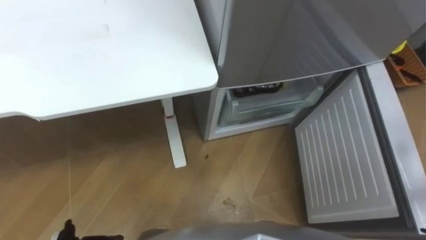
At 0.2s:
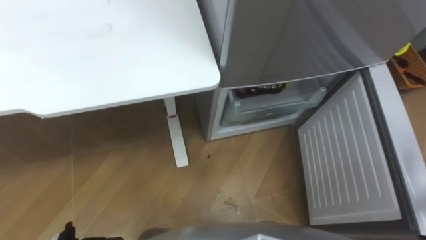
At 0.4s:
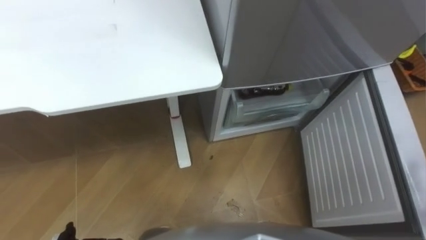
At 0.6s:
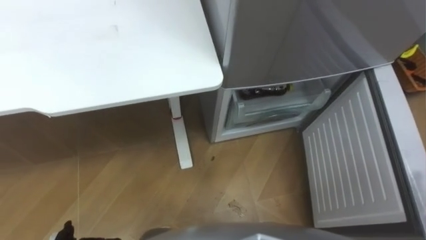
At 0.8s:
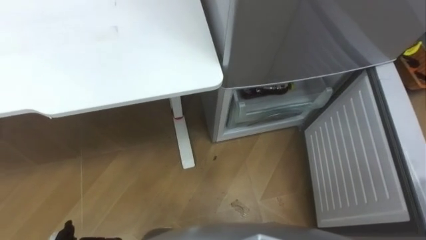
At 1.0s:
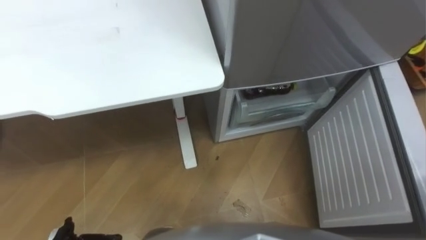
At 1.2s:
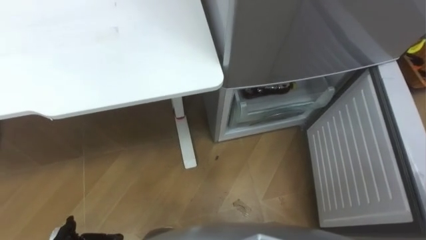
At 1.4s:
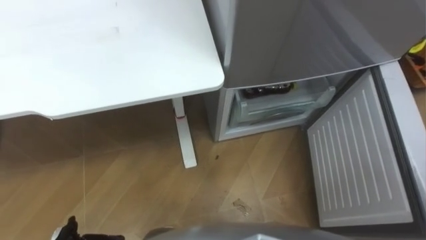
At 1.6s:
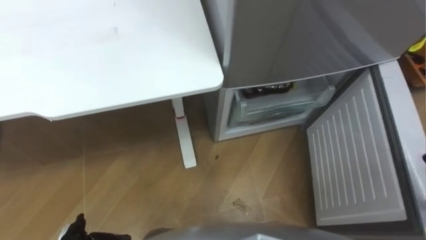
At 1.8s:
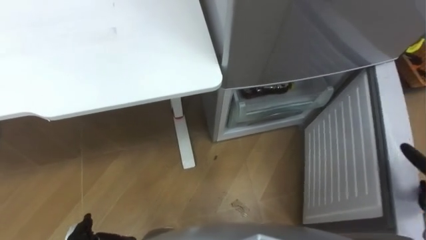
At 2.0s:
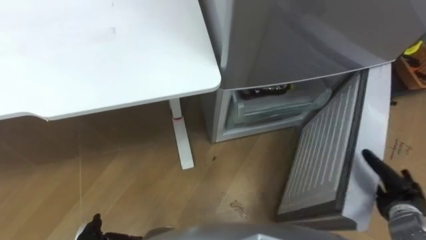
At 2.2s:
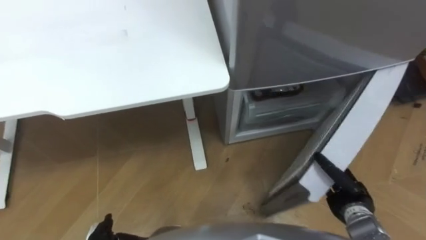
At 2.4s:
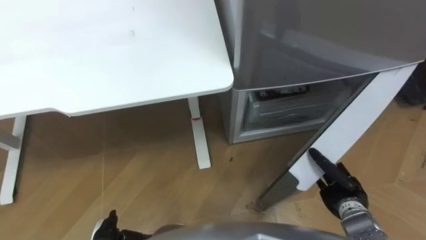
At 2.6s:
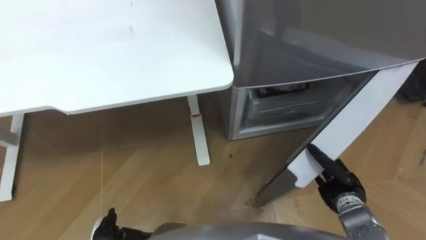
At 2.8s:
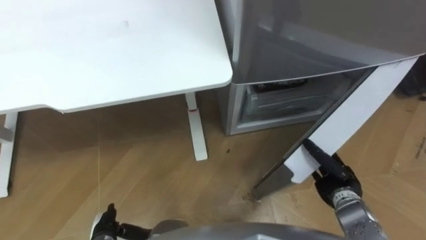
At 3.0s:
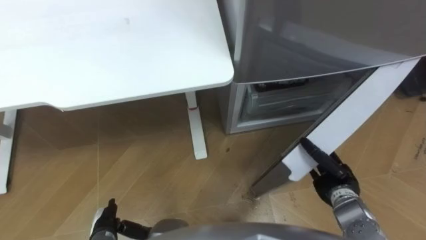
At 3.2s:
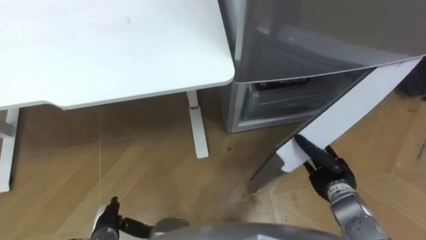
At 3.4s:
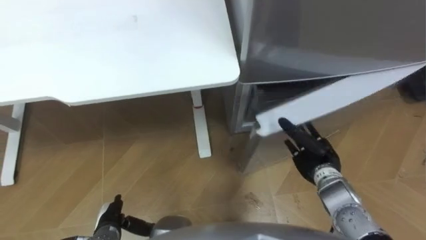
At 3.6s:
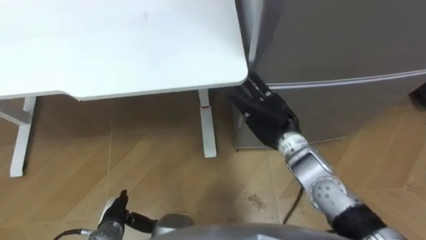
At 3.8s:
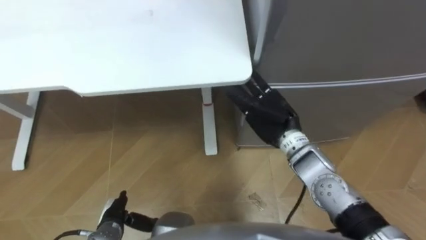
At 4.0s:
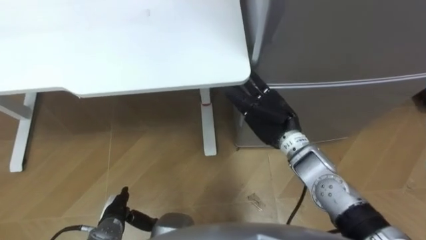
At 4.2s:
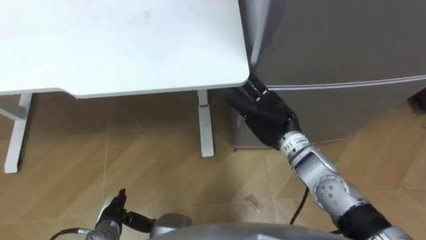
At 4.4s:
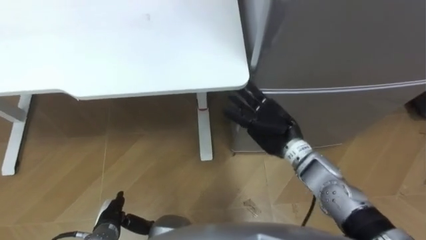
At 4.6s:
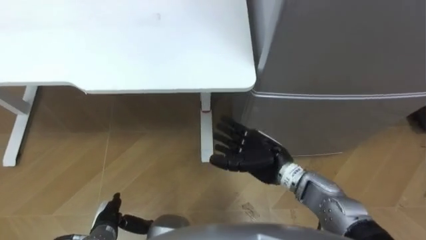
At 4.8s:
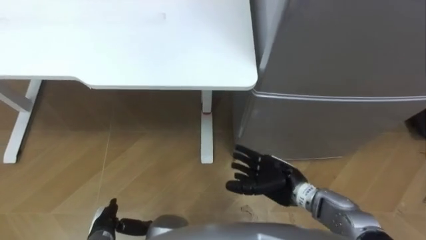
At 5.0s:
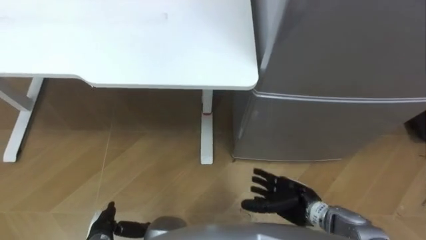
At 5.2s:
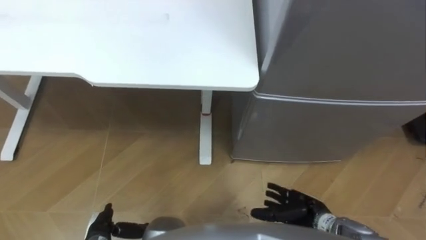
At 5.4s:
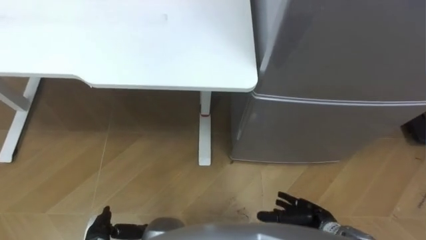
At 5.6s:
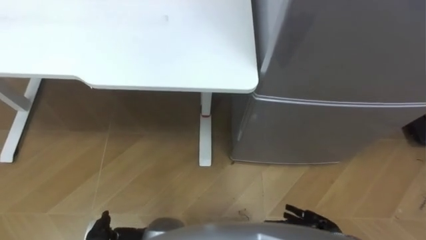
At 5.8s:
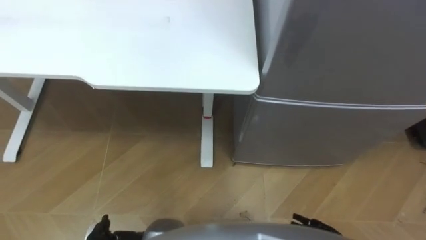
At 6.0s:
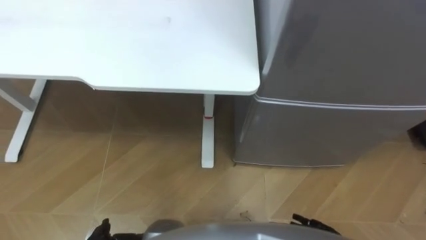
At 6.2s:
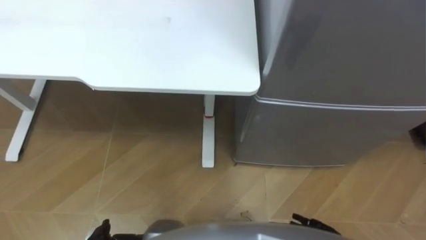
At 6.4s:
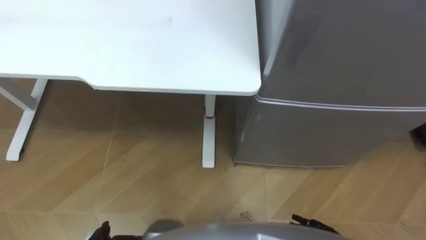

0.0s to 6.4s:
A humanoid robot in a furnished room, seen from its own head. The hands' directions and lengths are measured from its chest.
Task of the whole recording: Place the drink on the table on the bottom shelf of the refrigerator, then close the drawer and the refrigerator door.
3.2s to 4.8s: The right hand is displaced to the left by about 15 cm.

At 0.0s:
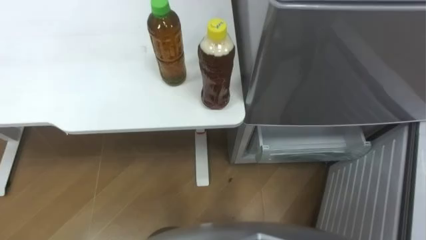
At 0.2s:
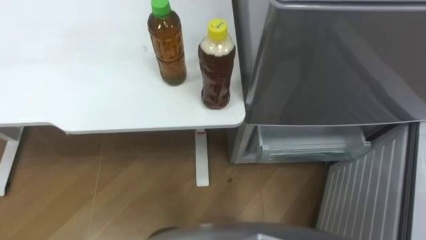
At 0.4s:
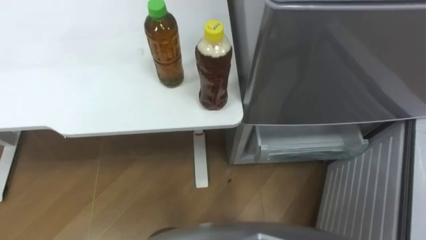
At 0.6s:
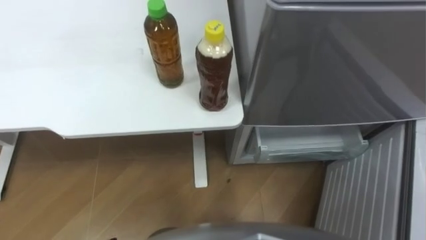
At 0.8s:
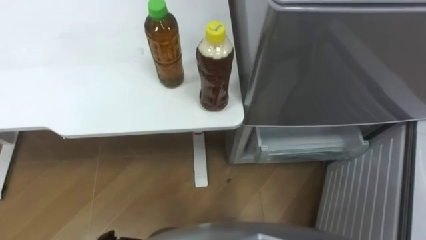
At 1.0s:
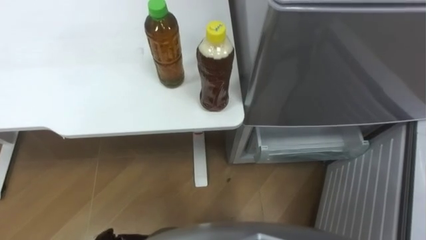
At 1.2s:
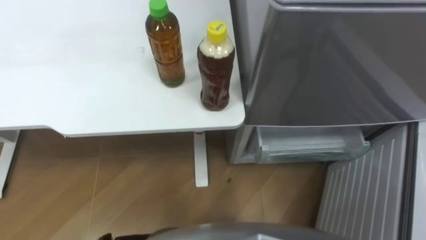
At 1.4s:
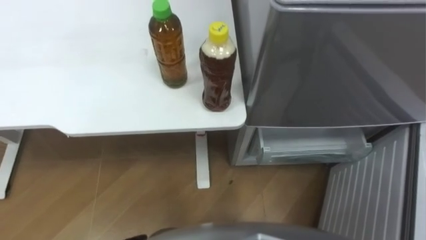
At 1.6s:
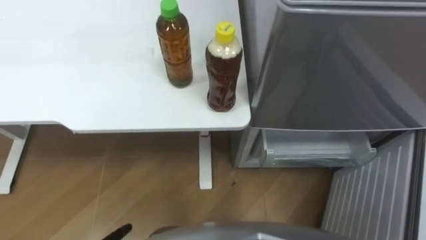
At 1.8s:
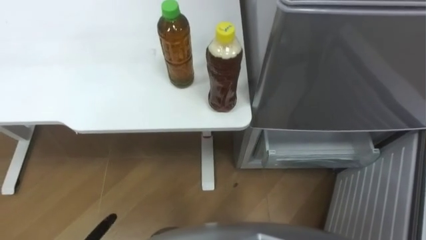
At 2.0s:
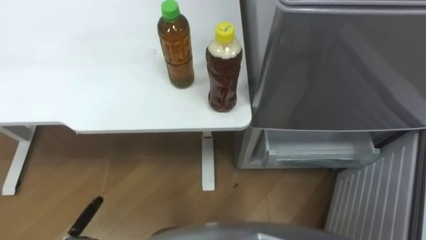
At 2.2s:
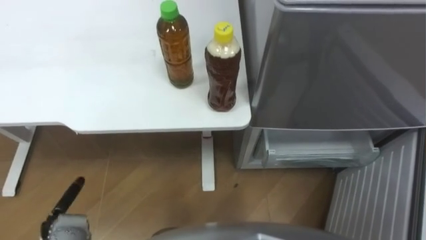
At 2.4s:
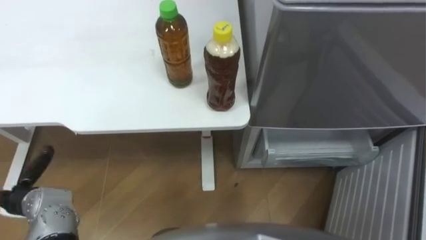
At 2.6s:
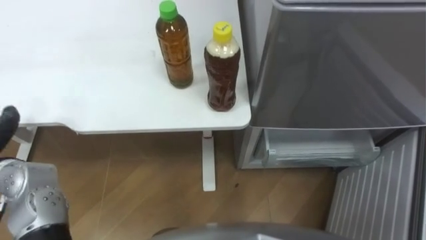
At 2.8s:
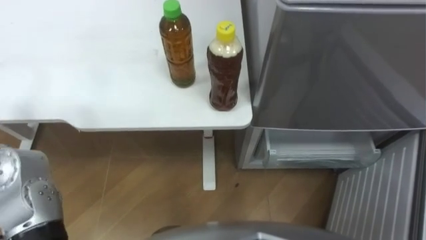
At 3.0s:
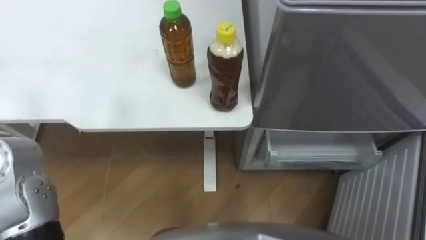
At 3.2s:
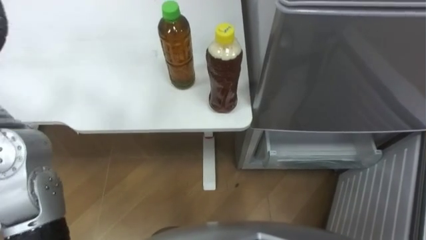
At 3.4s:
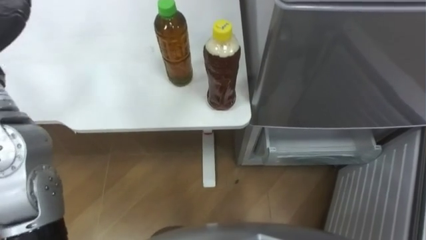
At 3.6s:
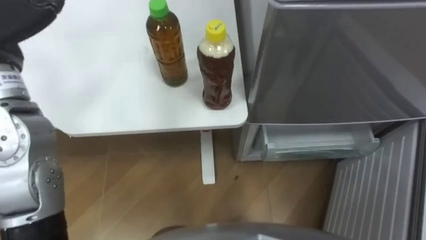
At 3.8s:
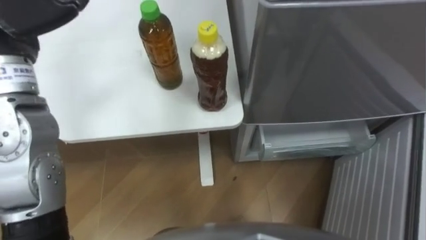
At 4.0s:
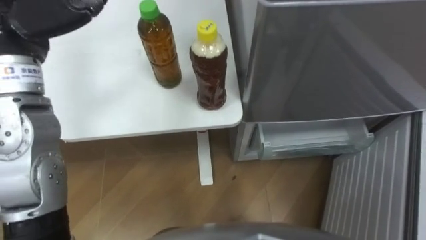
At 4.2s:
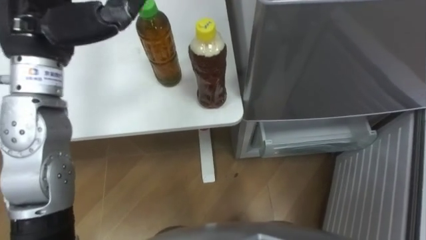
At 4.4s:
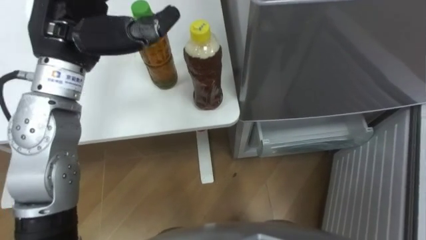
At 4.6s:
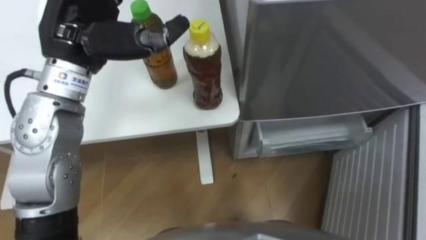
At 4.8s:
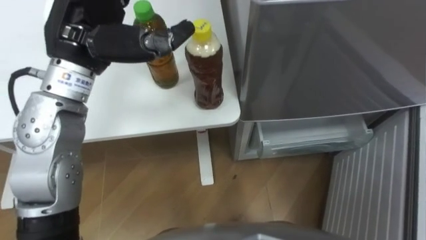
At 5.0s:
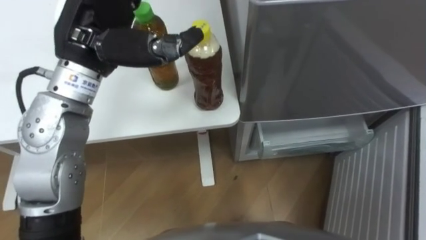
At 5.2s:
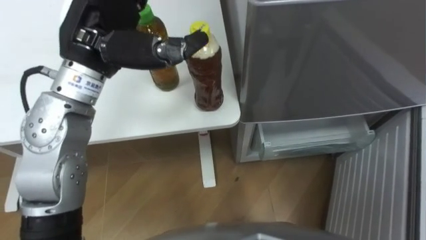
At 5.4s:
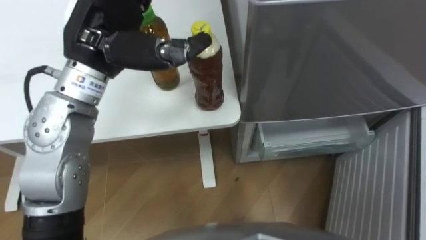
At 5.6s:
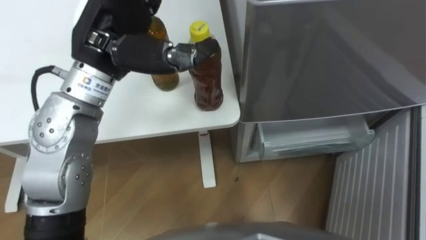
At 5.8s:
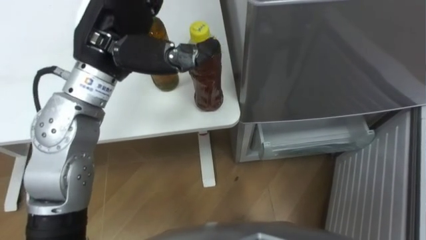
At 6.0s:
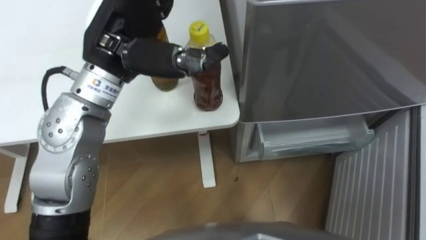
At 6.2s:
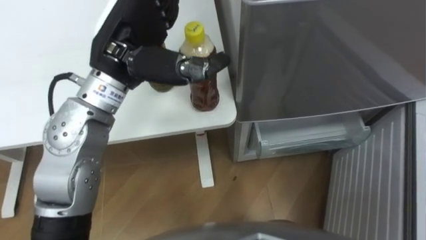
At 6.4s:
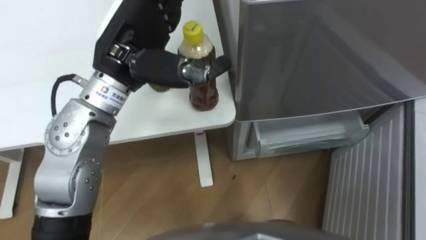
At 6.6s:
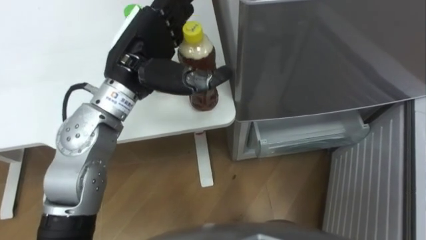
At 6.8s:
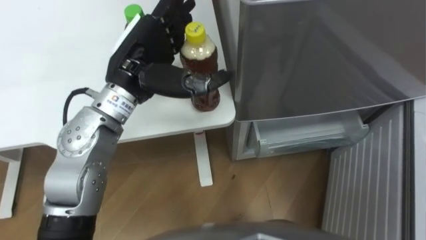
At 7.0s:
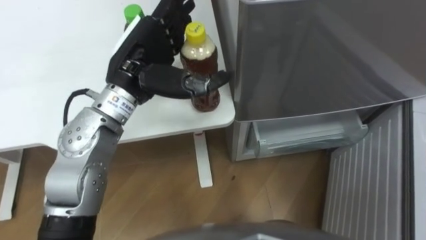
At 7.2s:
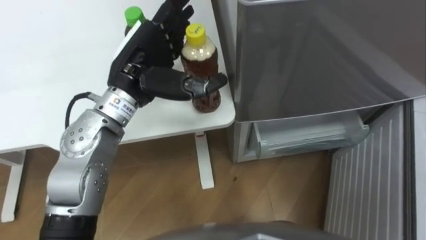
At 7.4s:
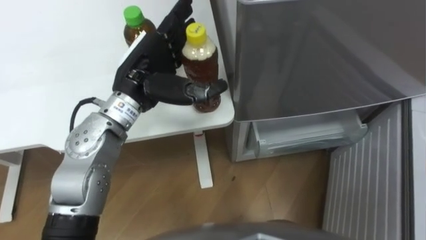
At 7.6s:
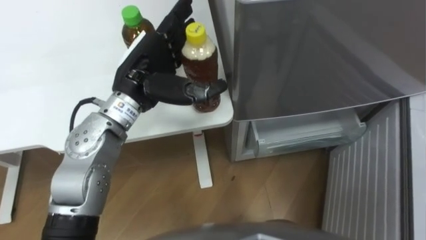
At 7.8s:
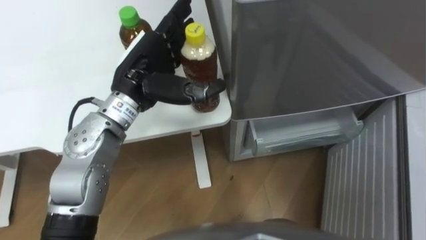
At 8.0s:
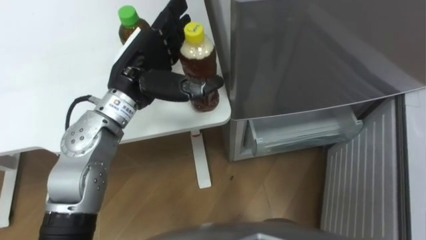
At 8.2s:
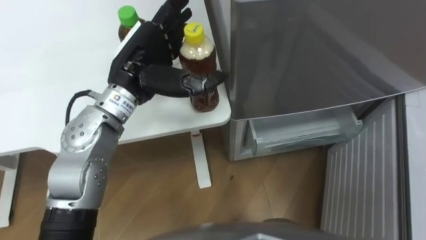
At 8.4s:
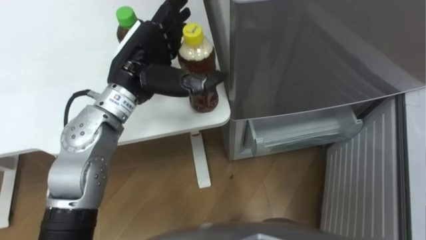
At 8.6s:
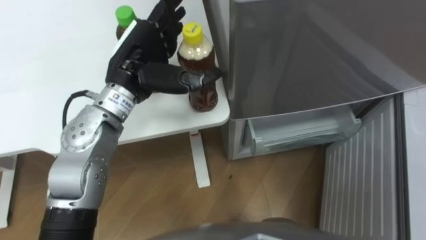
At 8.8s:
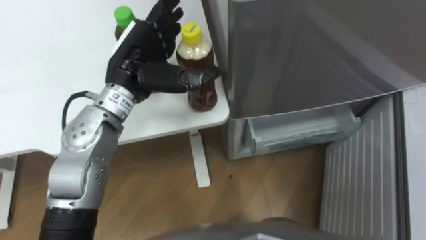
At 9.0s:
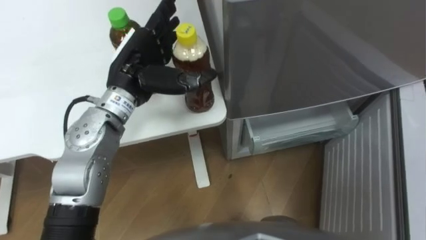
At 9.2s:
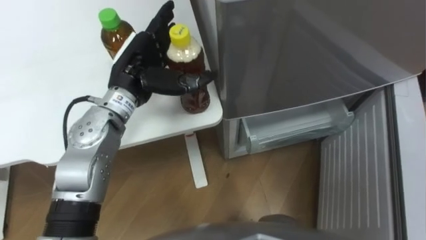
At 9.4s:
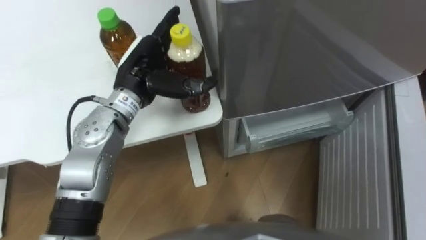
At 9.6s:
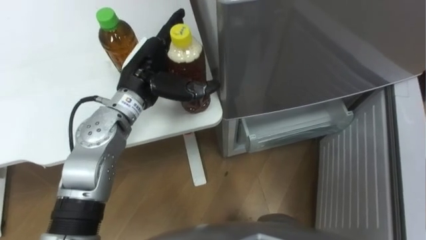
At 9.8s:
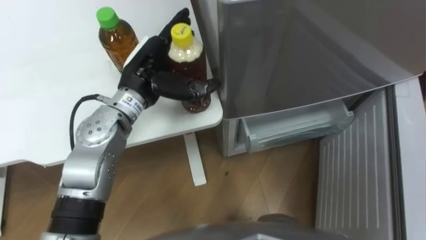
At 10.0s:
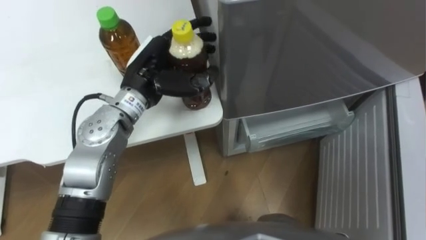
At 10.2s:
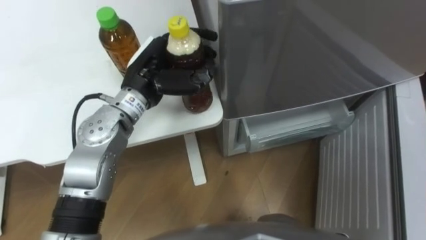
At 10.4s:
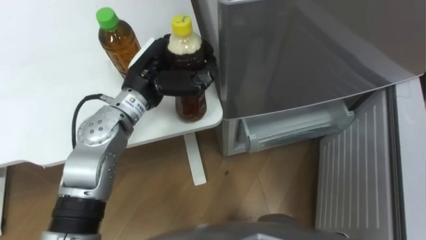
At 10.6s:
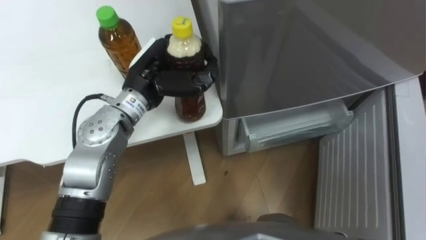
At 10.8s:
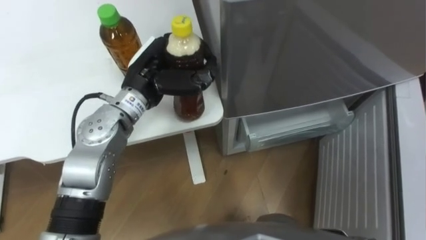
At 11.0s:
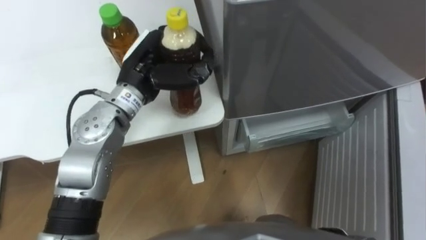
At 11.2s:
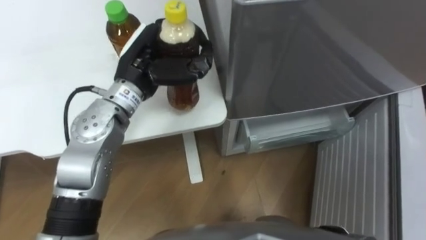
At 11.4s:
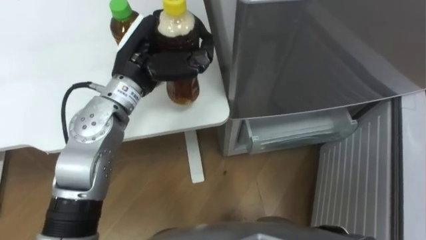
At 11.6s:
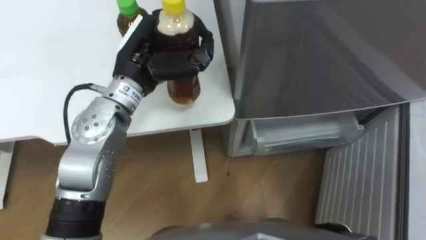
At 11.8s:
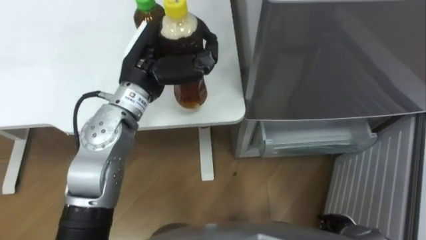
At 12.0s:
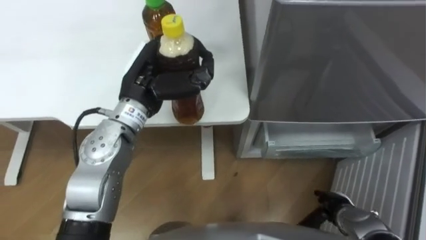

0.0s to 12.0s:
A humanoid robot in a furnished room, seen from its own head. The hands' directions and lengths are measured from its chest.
Task of the whole recording: Place the drink on the table on the bottom shelf of the refrigerator, then close the drawer and the refrigerator door.
4.4s to 6.0s: The left hand is displaced to the right by about 5 cm.
6.0s to 7.6s: The left hand shifts roughly 10 cm downward.
9.0s to 10.4s: The left hand closes up.
